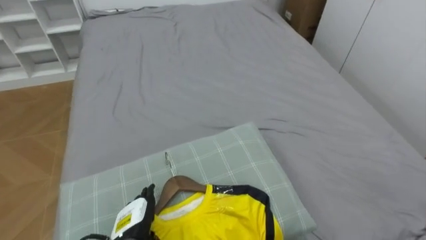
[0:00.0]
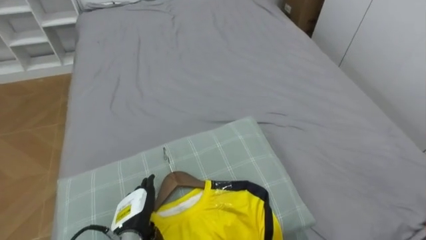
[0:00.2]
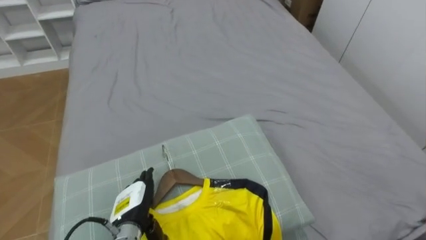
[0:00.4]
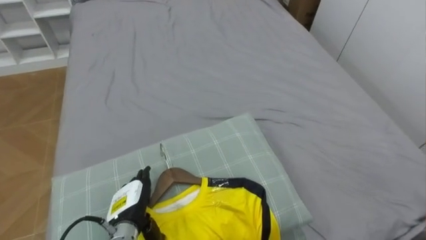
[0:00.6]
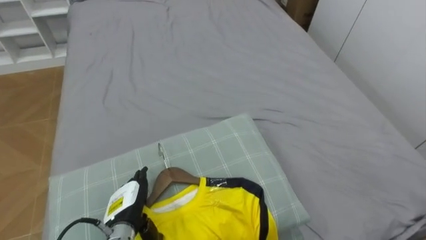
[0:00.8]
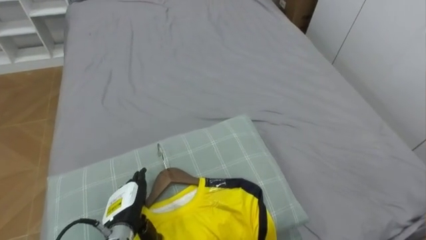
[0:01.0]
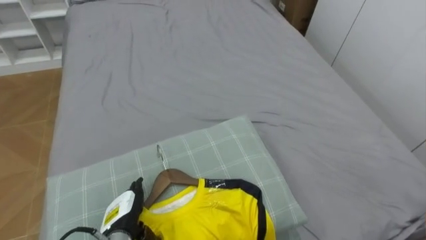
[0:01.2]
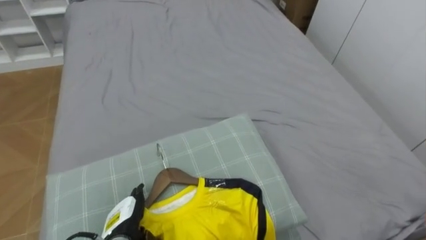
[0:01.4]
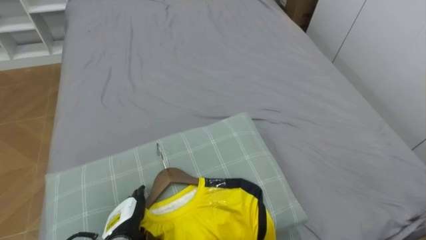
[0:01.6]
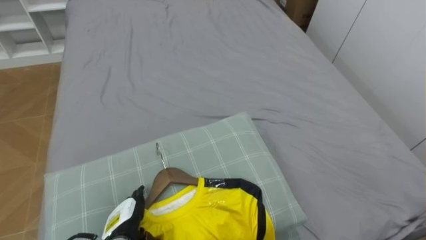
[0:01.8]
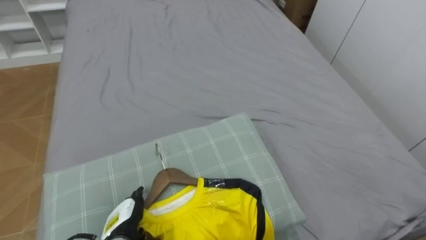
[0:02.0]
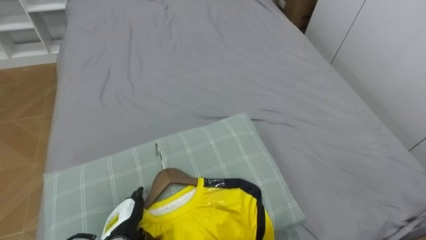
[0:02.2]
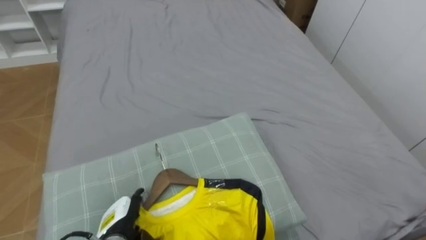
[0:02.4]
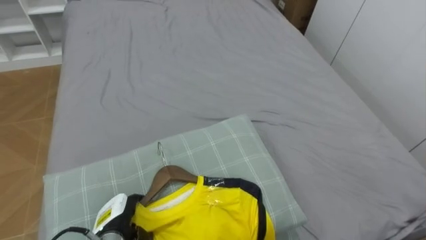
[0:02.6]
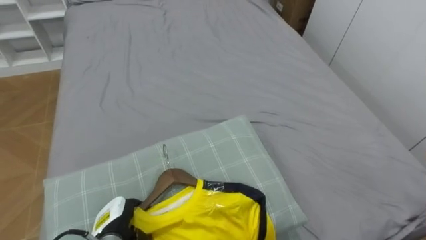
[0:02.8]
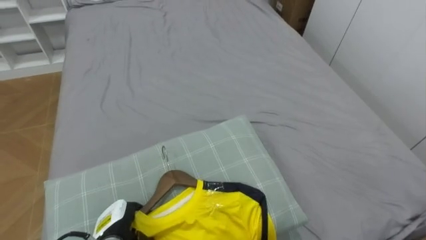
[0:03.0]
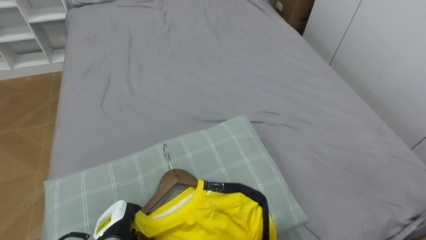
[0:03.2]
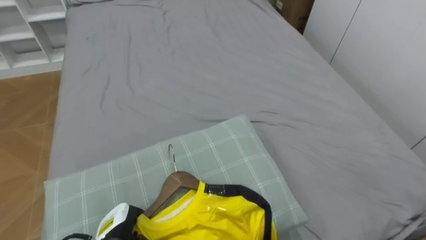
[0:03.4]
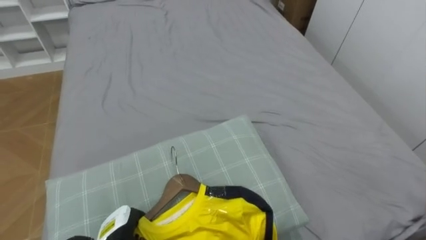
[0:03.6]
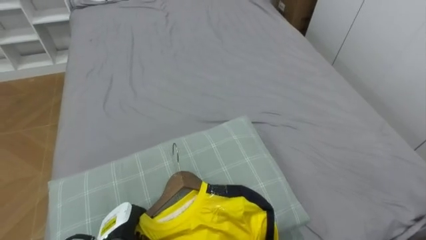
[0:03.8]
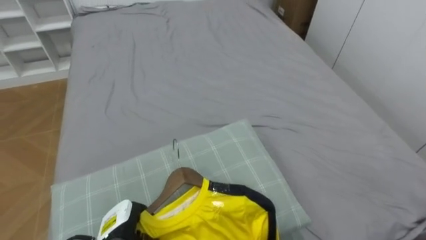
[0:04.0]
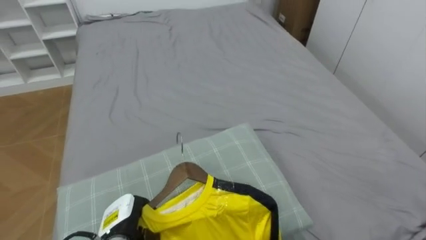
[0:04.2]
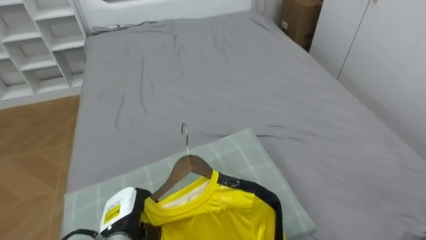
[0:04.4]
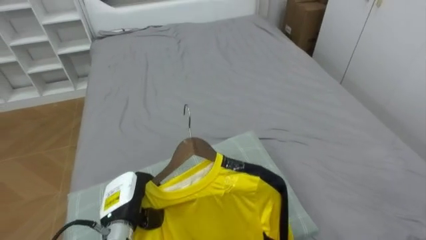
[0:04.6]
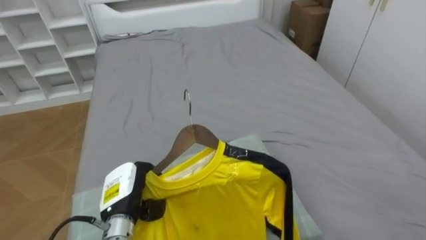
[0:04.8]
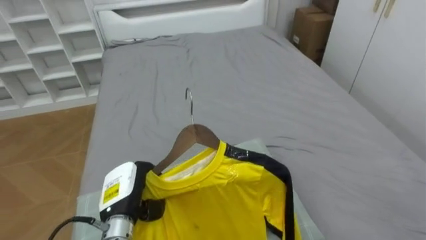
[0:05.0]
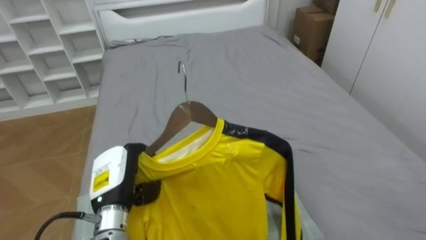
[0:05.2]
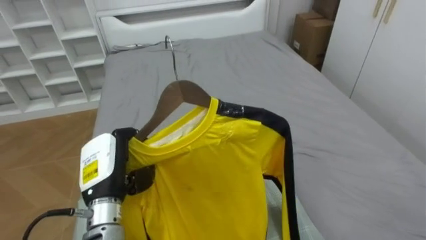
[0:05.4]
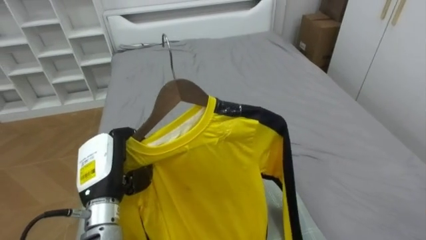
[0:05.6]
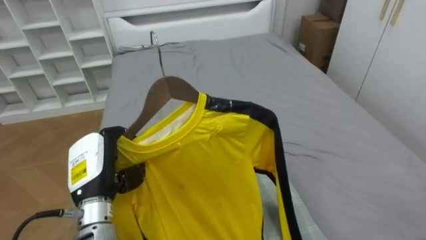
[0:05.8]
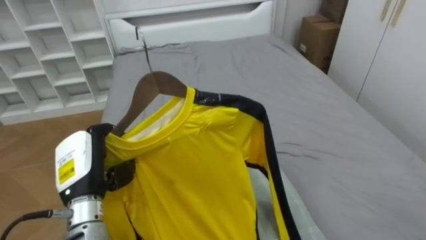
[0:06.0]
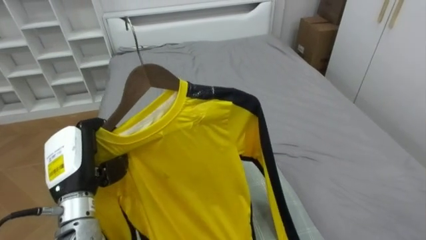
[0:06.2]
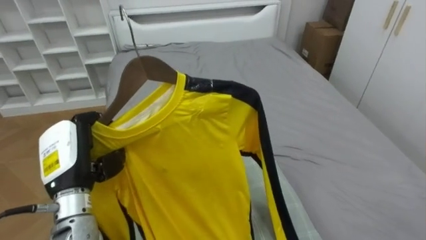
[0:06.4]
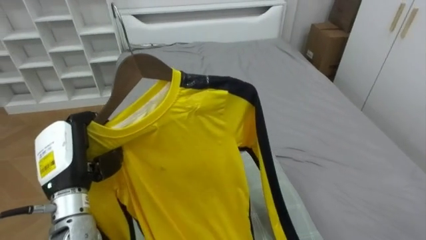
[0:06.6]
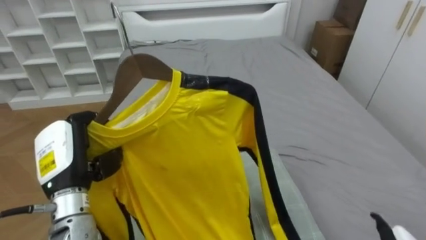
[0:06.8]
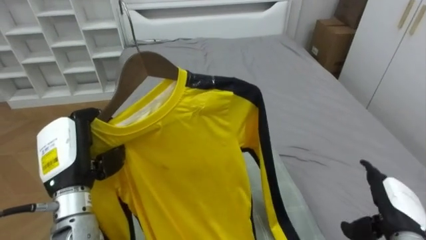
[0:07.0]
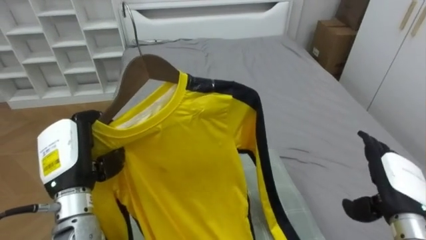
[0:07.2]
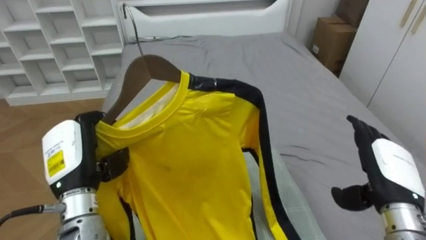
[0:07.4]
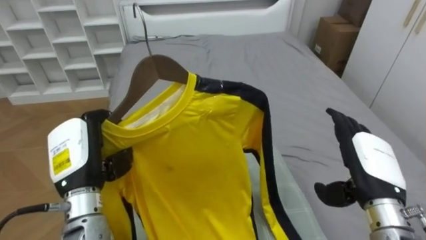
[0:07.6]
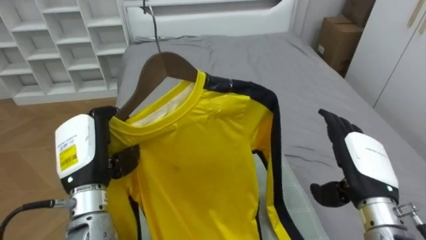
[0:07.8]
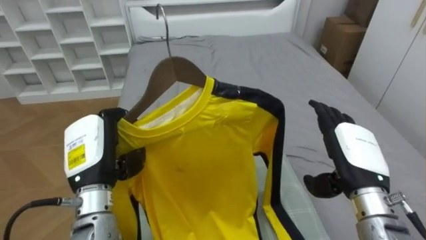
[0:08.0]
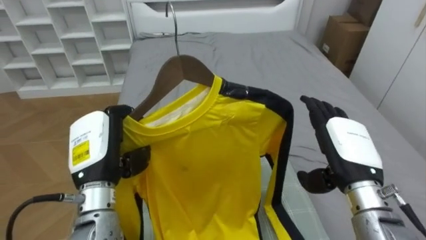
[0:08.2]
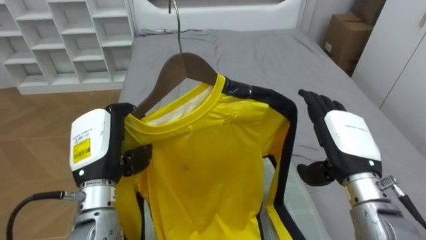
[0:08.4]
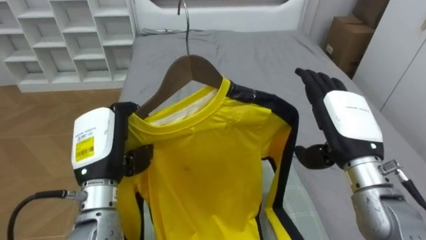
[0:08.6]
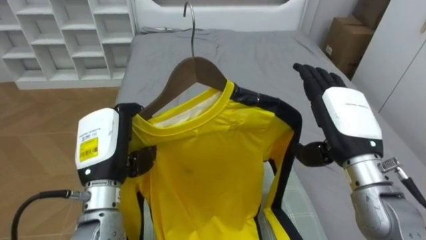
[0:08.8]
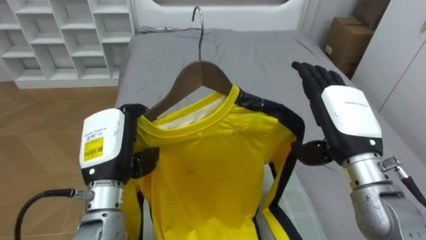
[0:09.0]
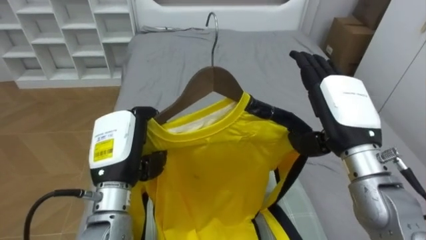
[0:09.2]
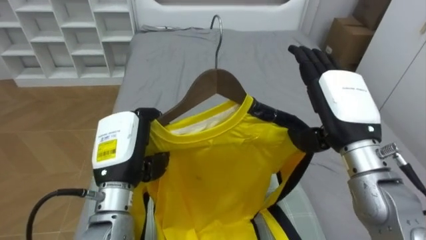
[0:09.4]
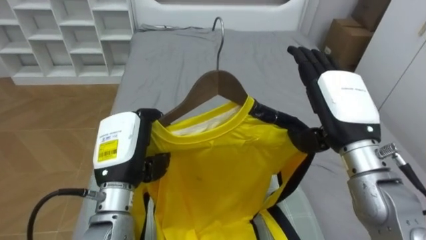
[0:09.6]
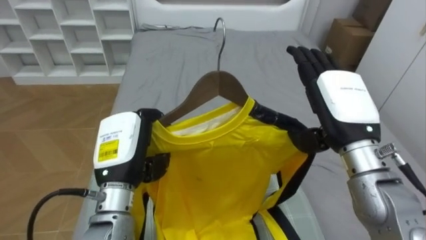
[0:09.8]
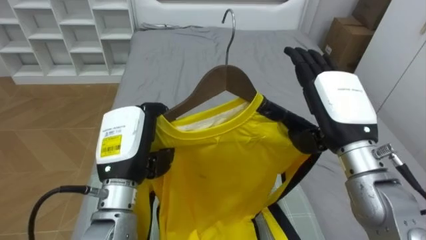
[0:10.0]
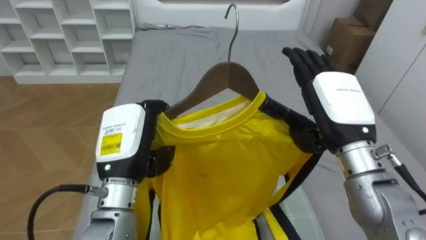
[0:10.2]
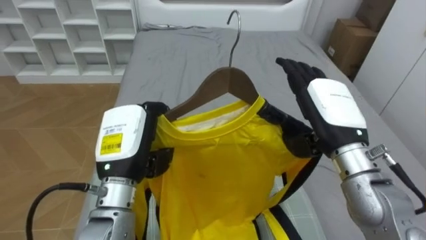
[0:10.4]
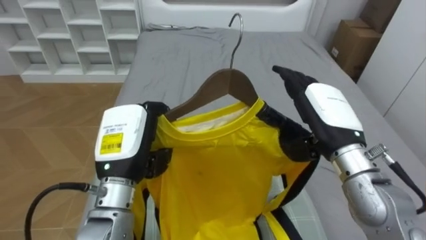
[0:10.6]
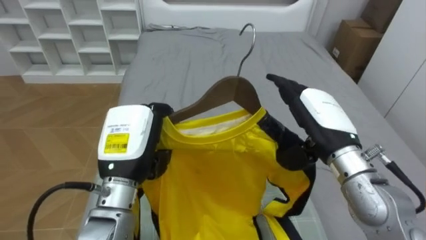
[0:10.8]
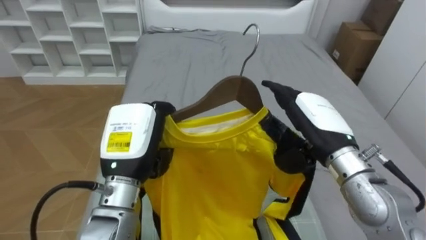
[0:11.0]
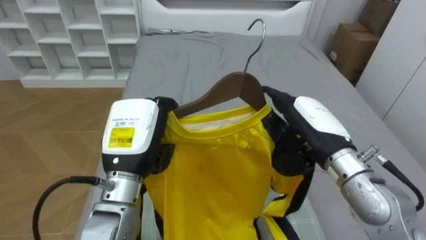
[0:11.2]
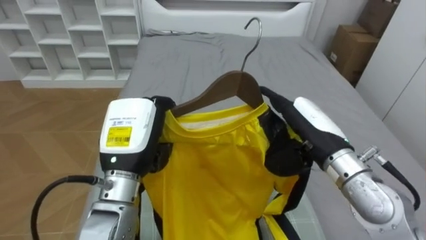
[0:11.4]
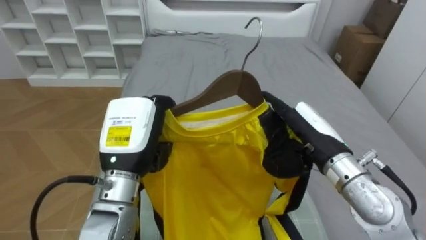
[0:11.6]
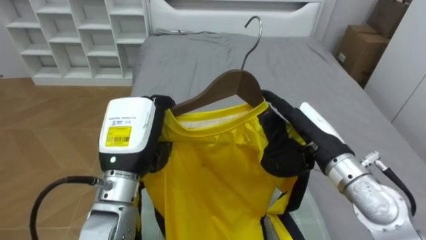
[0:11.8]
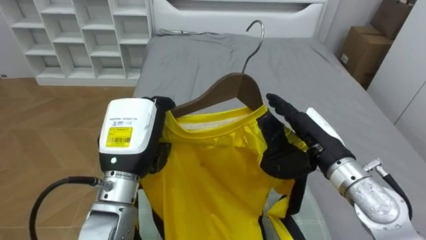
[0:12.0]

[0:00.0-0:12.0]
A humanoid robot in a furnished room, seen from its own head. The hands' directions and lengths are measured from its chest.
Task of the whole recording: Pick up the yellow shirt on the bed and hang it on the clothes rack on the right.
0:01.6 to 0:03.0: The left hand closes.
0:04.4 to 0:06.0: The left hand is displaced upward by about 15 cm.
0:07.6 to 0:09.0: The right hand heads upward and to the left, covering approximately 10 cm. The left hand shifts by approximately 5 cm.
0:10.4 to 0:12.0: The right hand is displaced downward by approximately 5 cm.

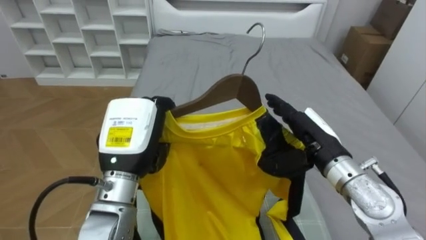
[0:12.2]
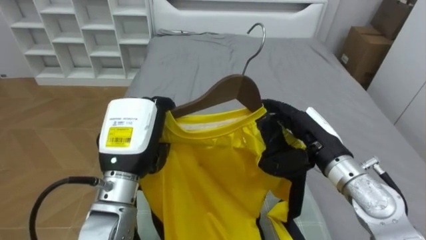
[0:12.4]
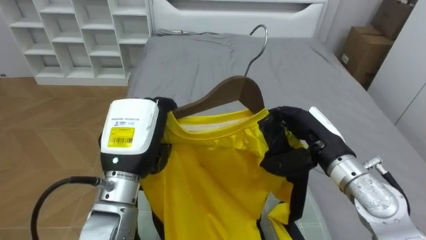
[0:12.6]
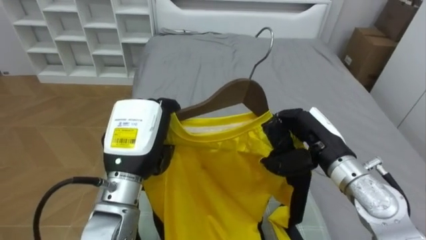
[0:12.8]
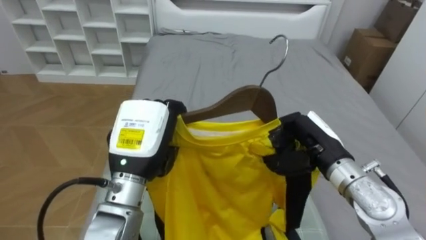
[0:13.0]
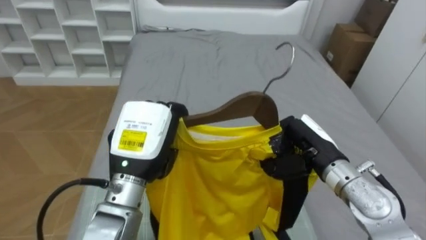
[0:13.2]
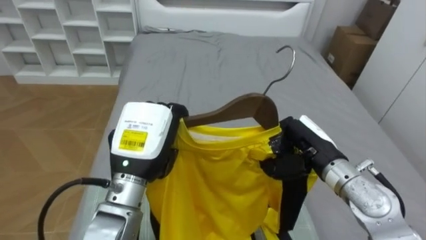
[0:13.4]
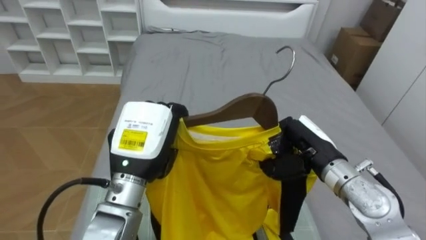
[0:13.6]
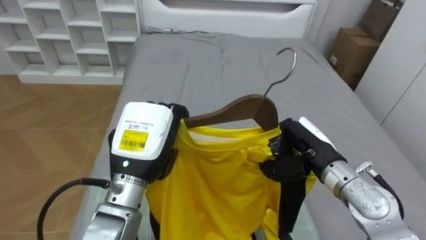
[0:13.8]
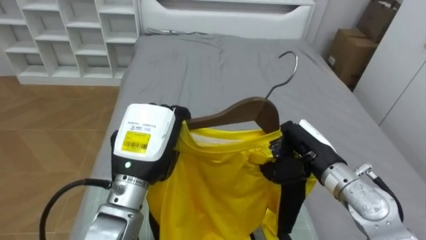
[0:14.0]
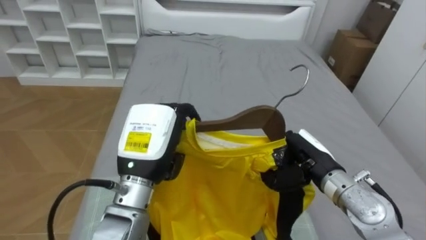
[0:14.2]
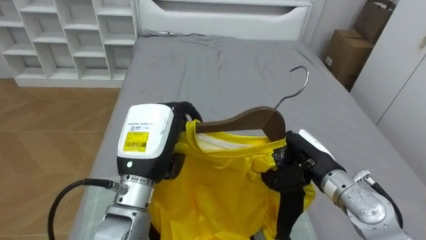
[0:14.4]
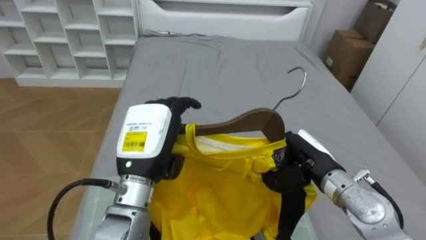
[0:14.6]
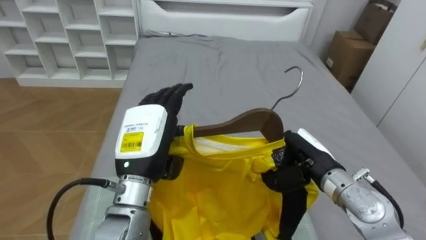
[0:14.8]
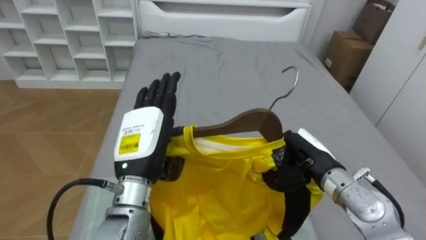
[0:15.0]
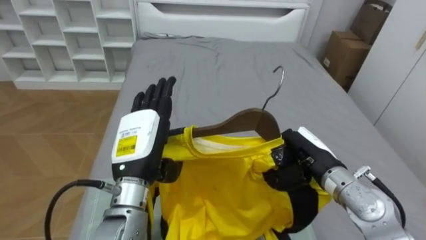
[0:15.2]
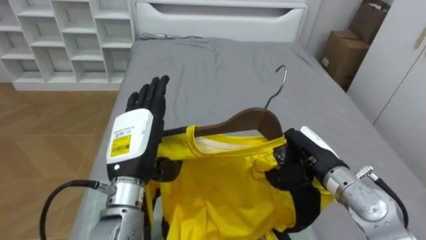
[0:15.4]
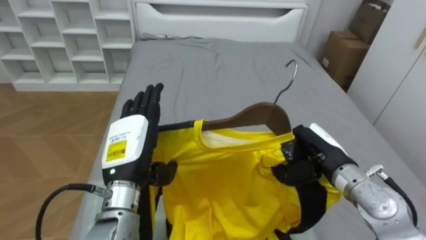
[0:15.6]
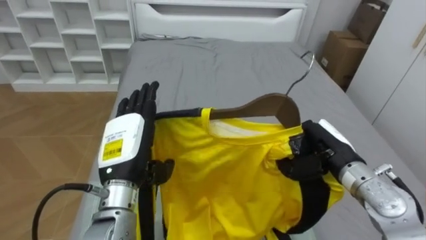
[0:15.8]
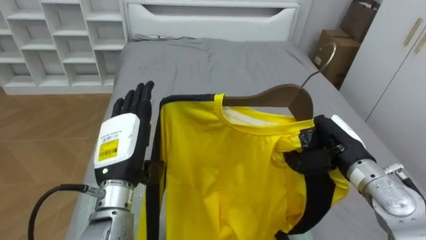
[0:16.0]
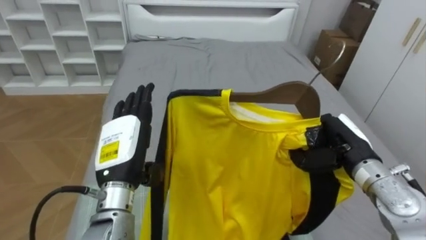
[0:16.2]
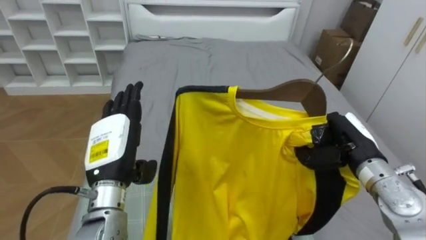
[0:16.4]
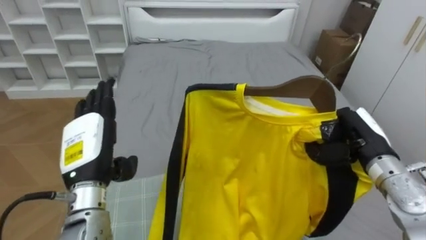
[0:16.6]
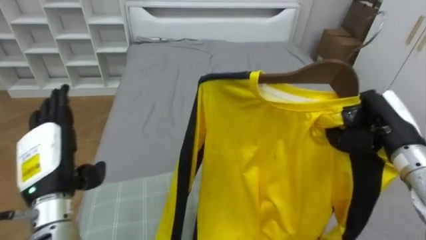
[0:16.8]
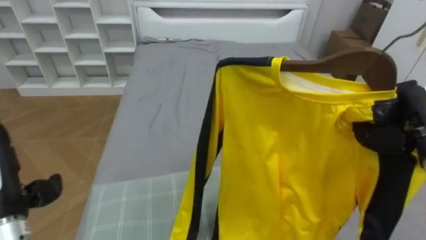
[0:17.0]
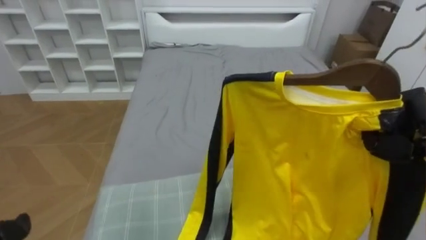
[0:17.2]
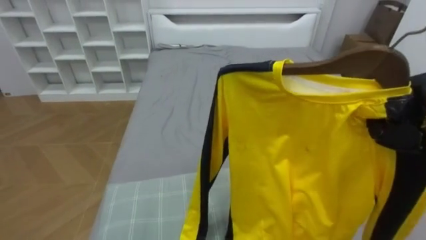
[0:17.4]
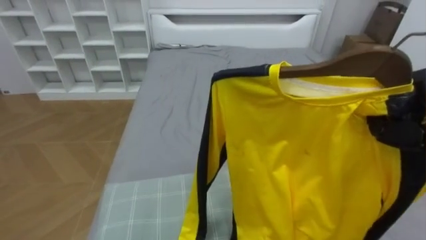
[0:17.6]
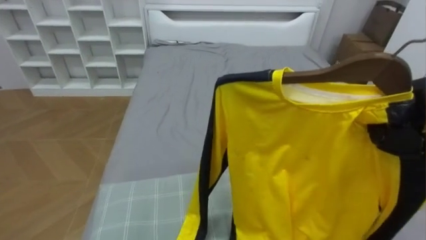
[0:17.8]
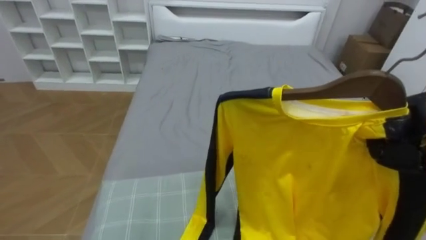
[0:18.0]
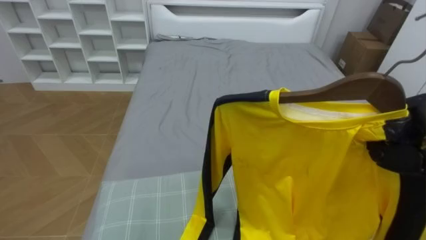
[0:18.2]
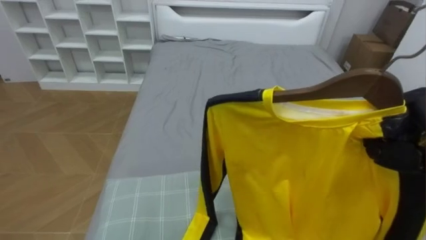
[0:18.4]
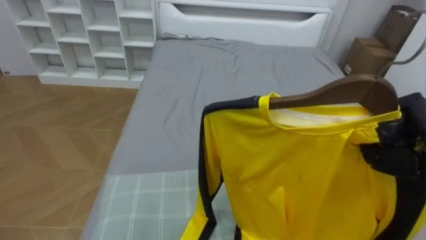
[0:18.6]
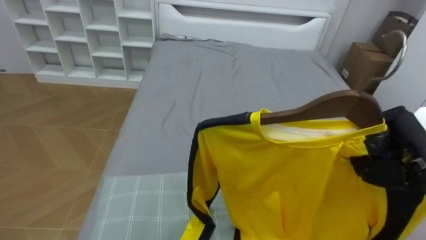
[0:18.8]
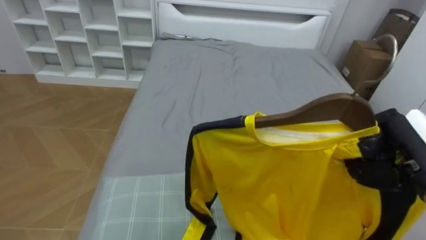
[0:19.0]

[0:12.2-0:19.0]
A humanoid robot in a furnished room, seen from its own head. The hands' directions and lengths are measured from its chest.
Task of the whole recording: Pick up the yellow shirt on the bed and hang it on the clothes rack on the right.
0:12.2 to 0:13.6: The right hand closes up.
0:13.6 to 0:15.0: The left hand opens its fingers.
0:15.0 to 0:16.2: The right hand is displaced to the right by approximately 5 cm.
